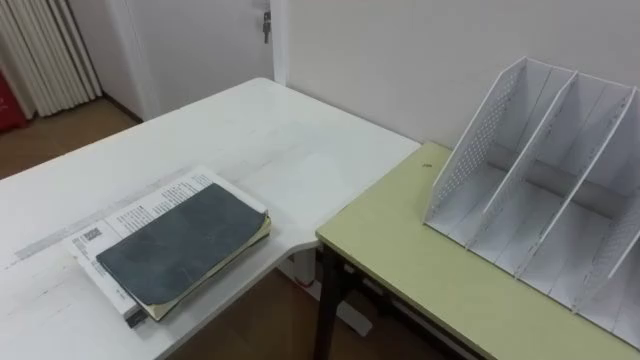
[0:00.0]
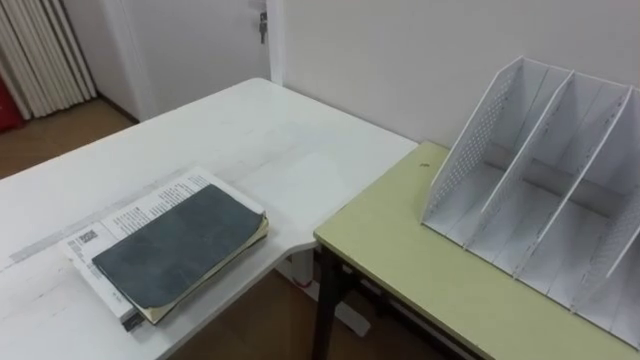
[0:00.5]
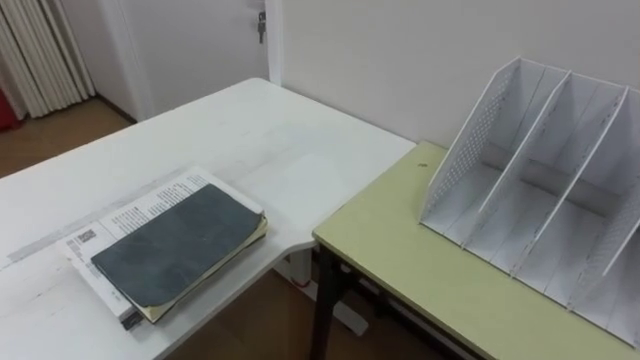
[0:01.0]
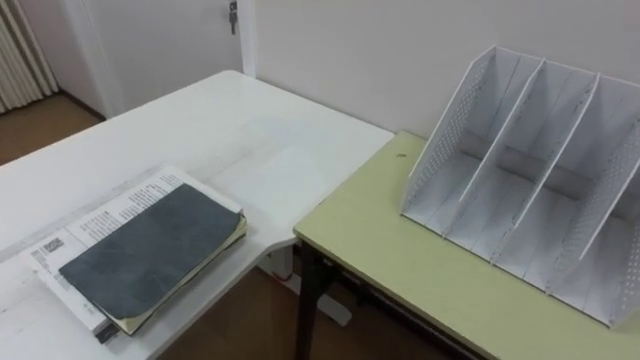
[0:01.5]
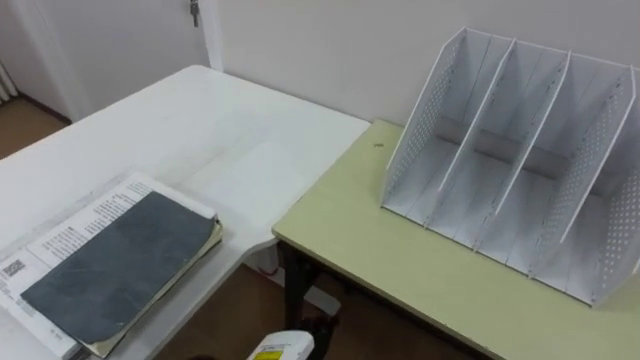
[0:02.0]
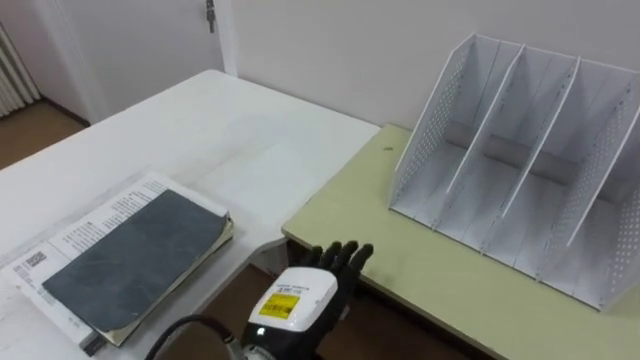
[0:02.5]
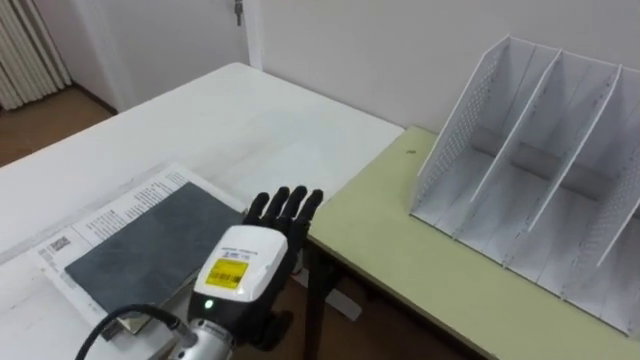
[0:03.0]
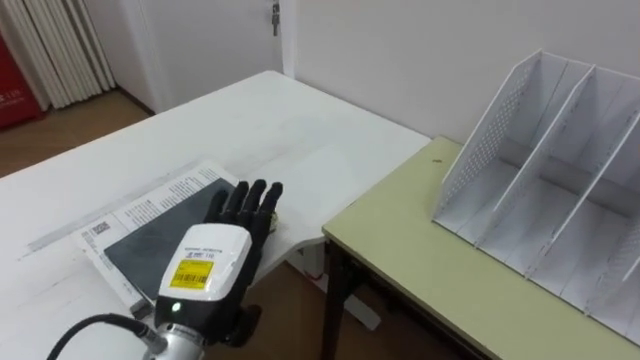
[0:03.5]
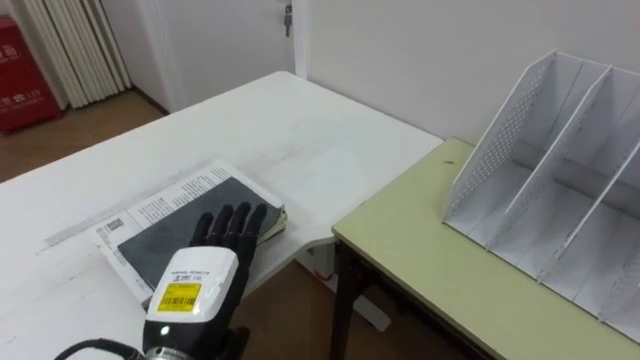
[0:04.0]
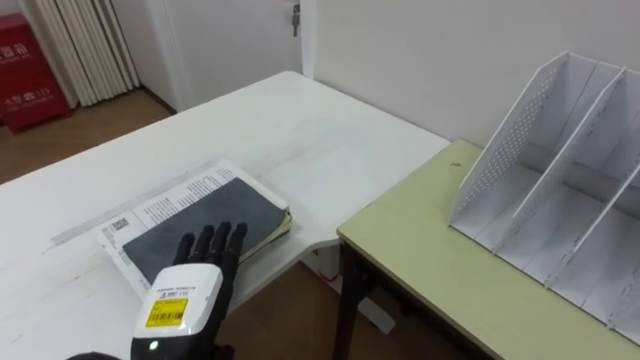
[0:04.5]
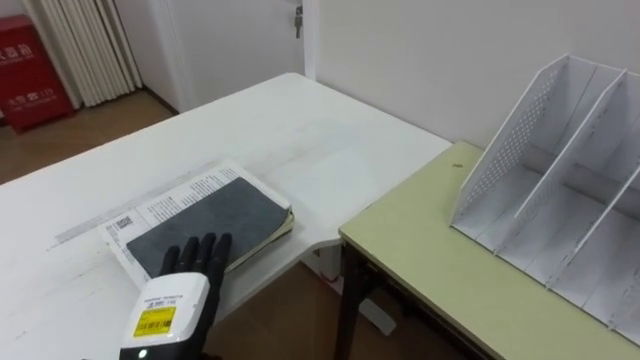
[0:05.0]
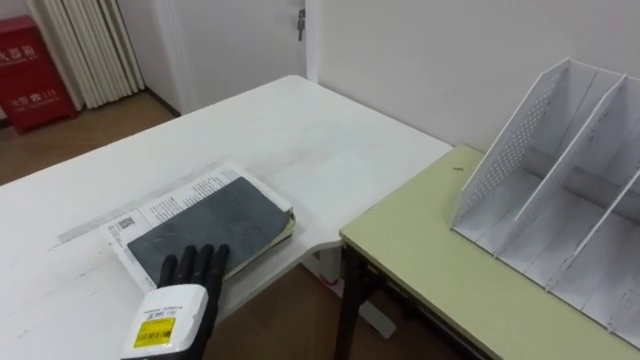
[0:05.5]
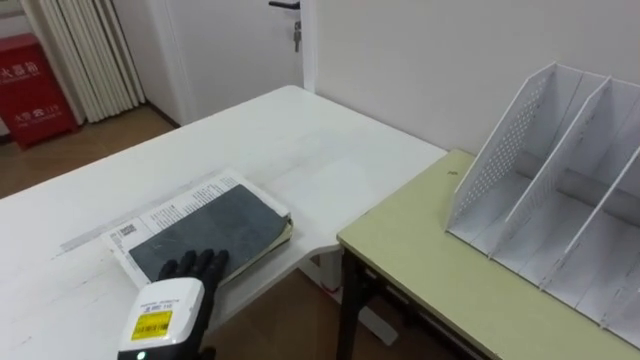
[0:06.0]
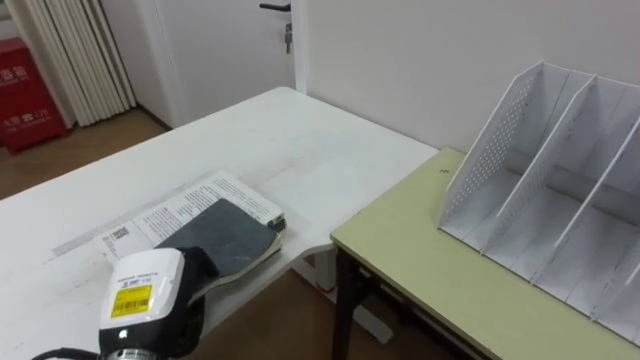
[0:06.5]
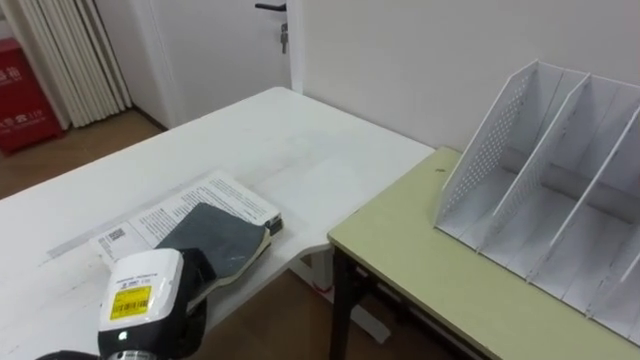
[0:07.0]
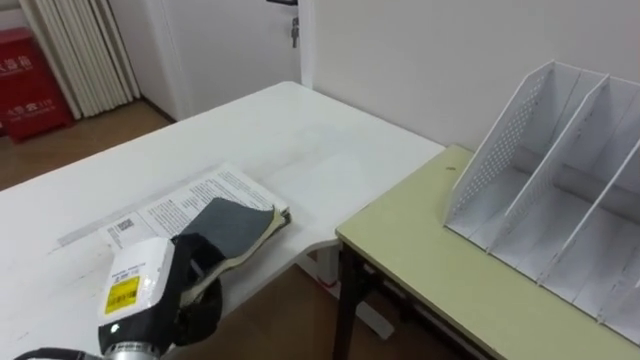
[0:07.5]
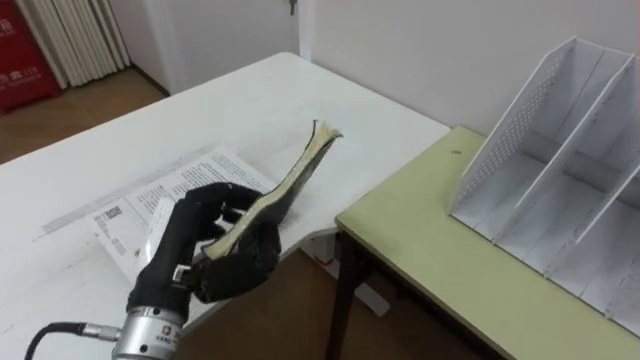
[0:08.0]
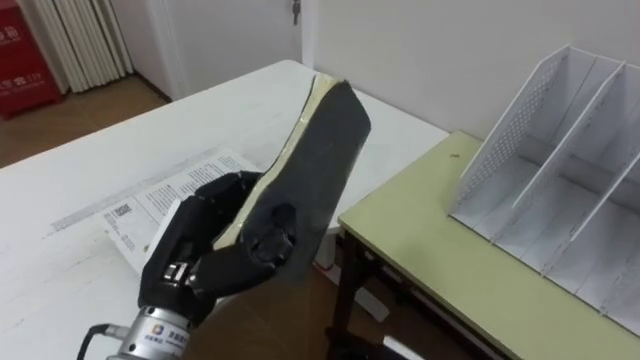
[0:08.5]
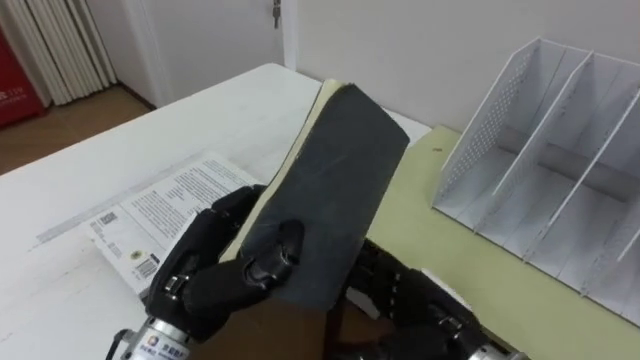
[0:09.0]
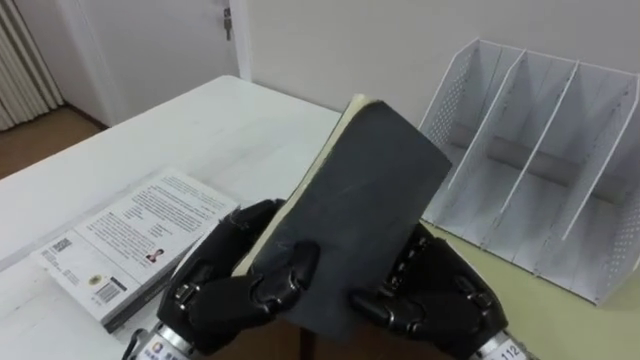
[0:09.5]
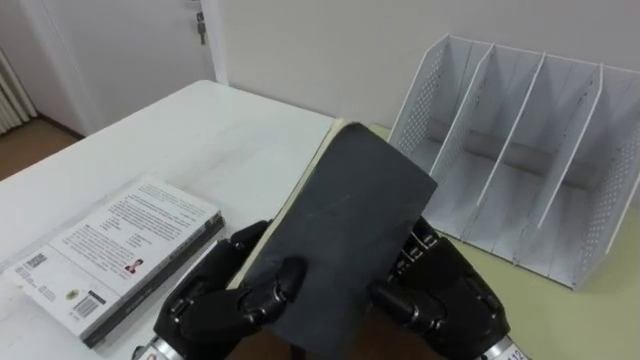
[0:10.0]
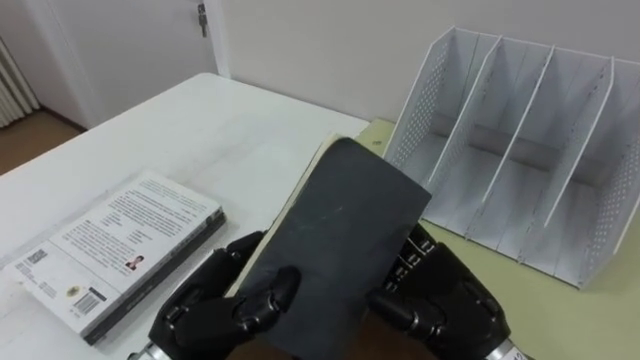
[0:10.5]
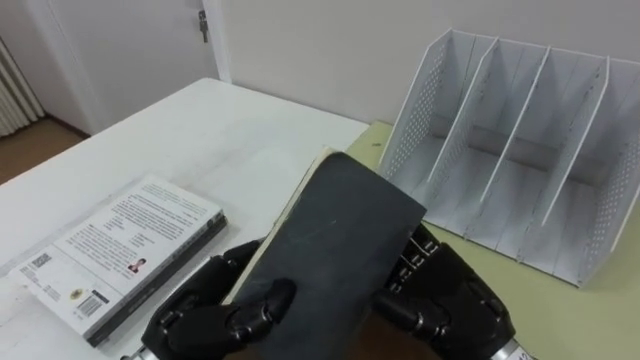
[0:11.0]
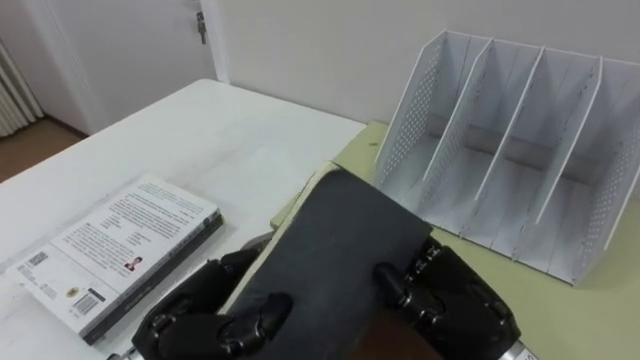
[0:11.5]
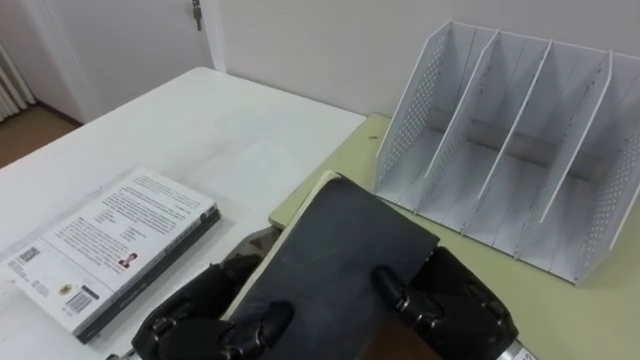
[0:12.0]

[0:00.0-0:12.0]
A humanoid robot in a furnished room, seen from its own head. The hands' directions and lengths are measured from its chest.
Task of the whole recording: Put the books on the table onto the bookshelf.
0:04.0 to 0:06.0: The left hand travels downward by roughly 5 cm.
0:06.0 to 0:08.0: The left hand shifts about 10 cm upward, and closes its fingers.
0:08.0 to 0:10.0: The left hand shifts by roughly 5 cm.
0:10.0 to 0:12.0: The right hand closes.

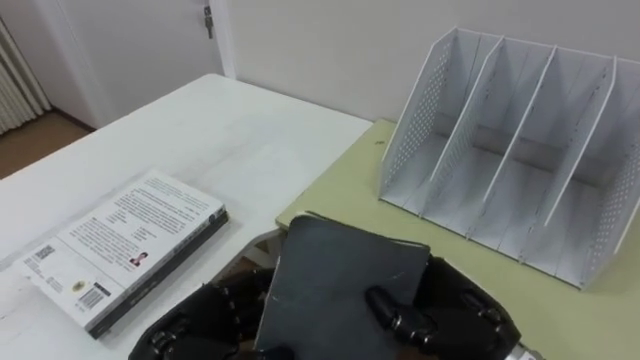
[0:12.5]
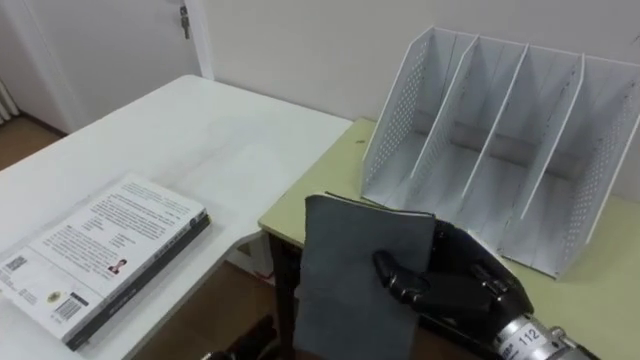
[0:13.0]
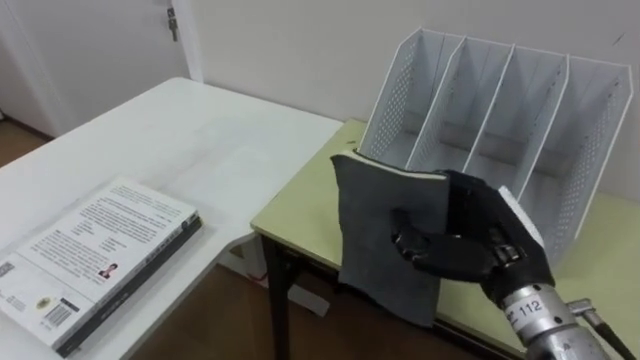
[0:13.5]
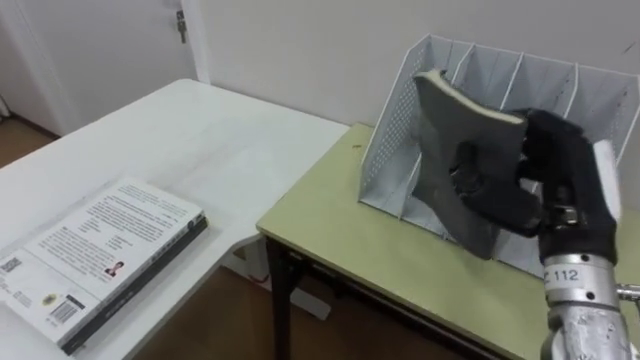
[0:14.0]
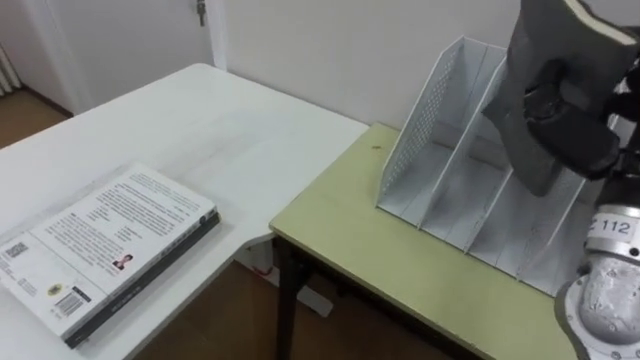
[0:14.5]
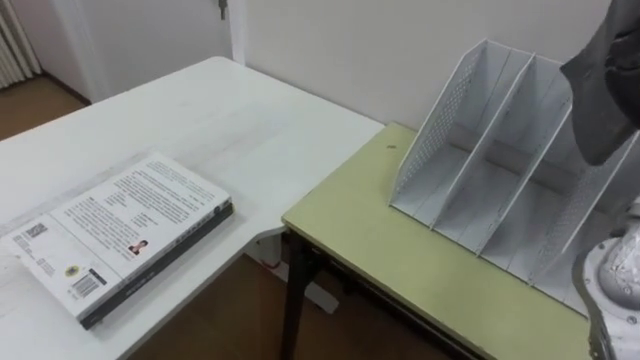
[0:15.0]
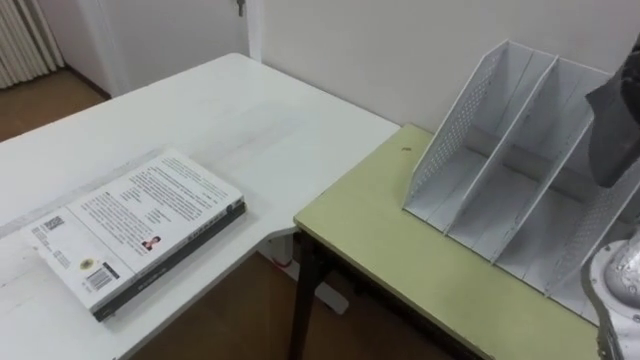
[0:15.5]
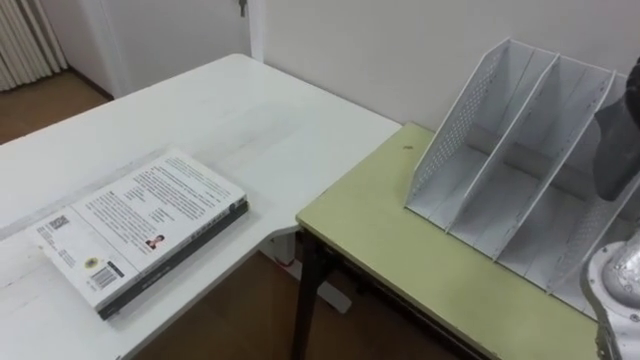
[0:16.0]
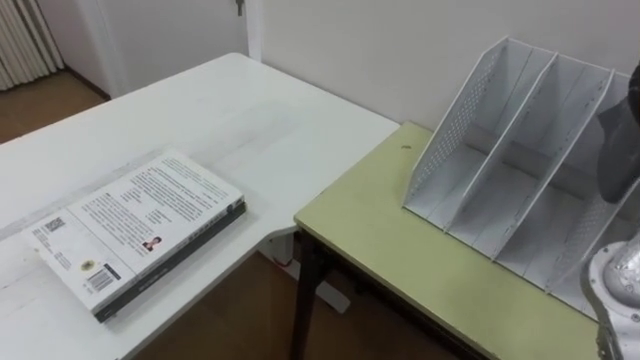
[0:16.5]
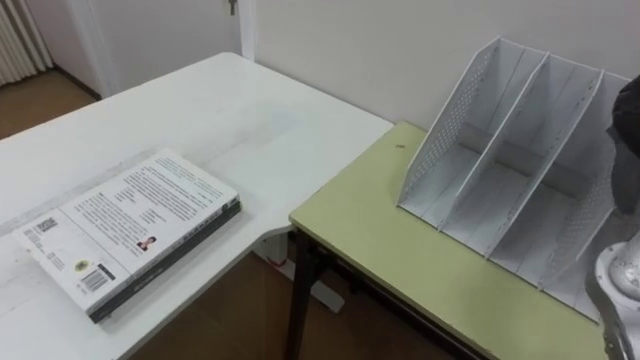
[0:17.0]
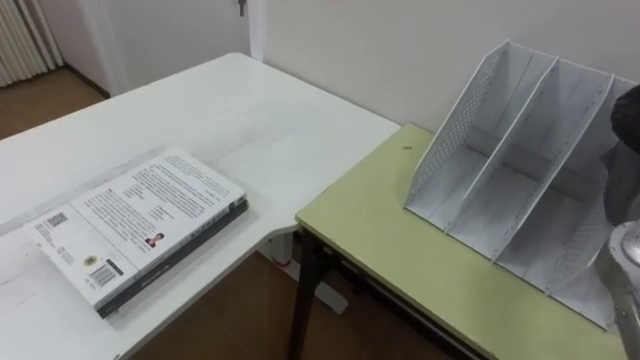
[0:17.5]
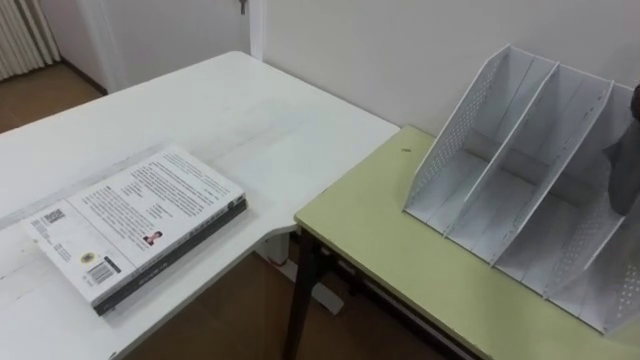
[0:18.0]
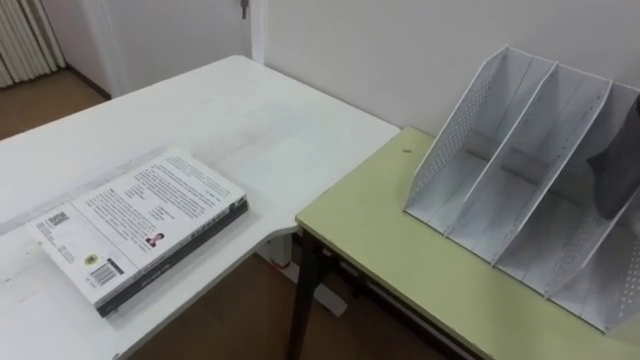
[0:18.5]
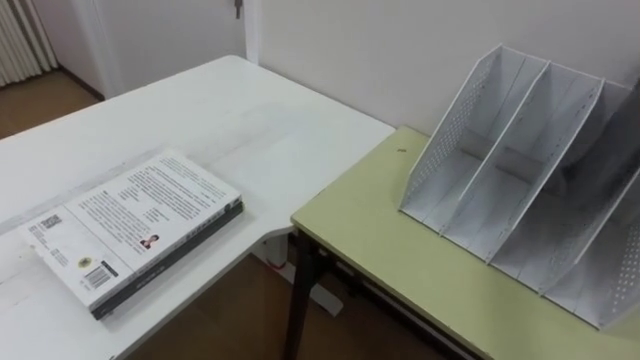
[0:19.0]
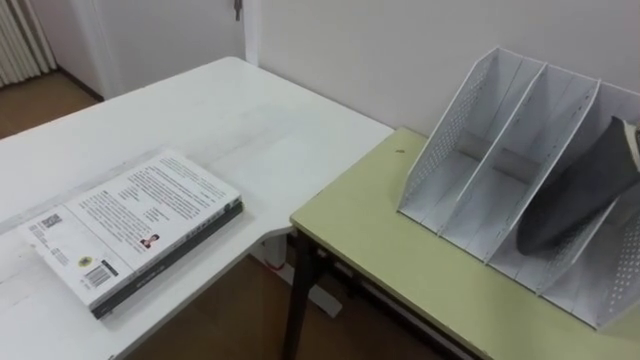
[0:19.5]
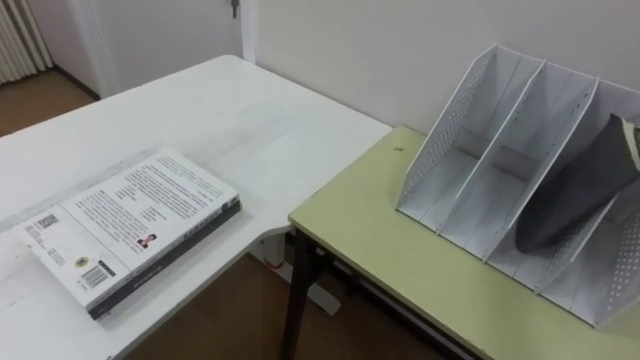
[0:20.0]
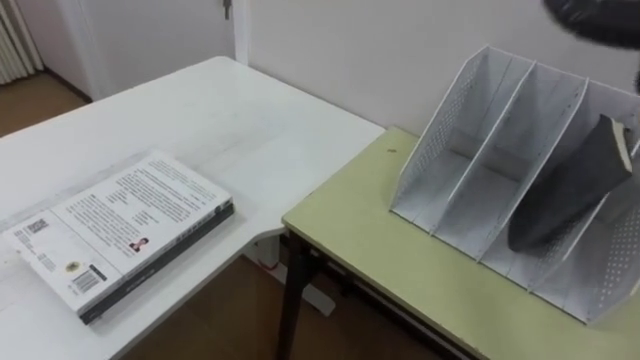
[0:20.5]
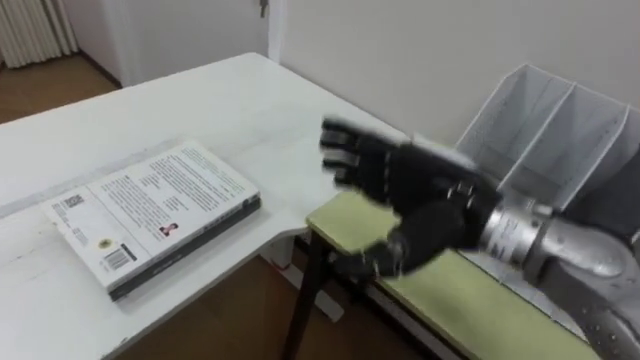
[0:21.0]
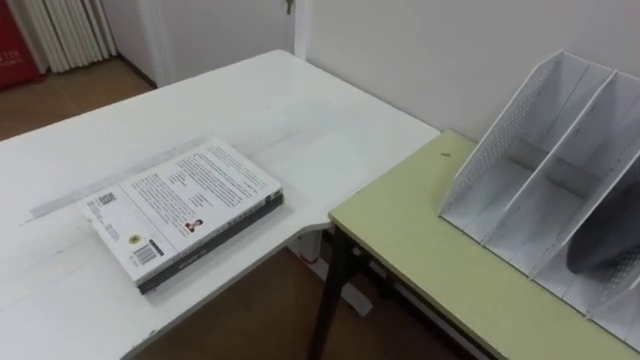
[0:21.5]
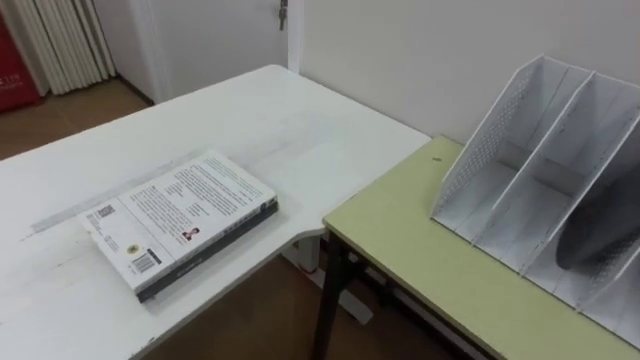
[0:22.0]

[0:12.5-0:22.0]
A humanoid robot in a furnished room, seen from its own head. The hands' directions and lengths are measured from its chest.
Task of the whole recording: Put the books on the table onto the bookshelf.
0:12.5 to 0:14.5: The right hand travels upward and to the right by some 20 cm.
